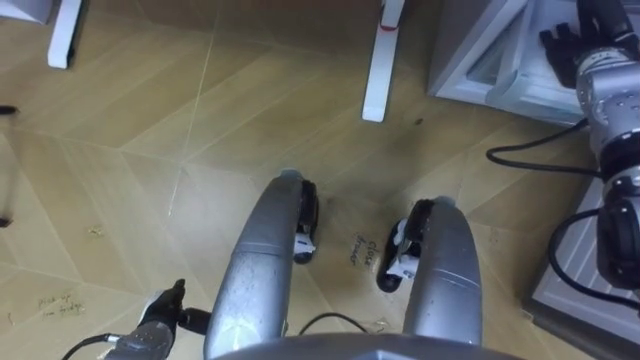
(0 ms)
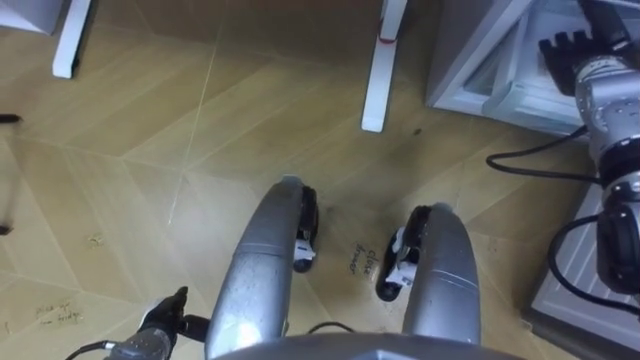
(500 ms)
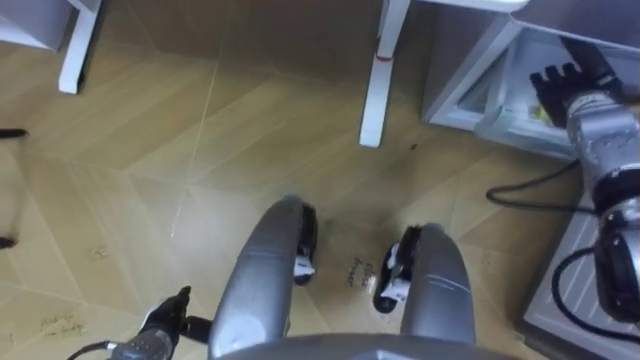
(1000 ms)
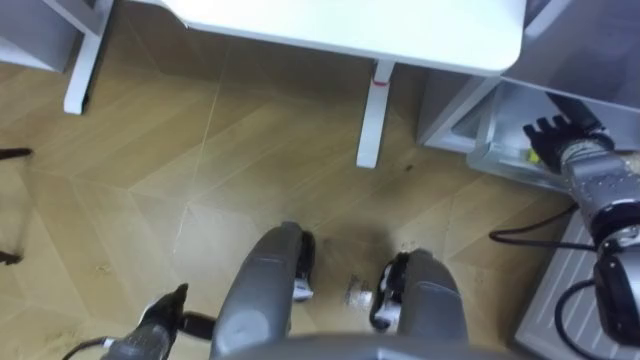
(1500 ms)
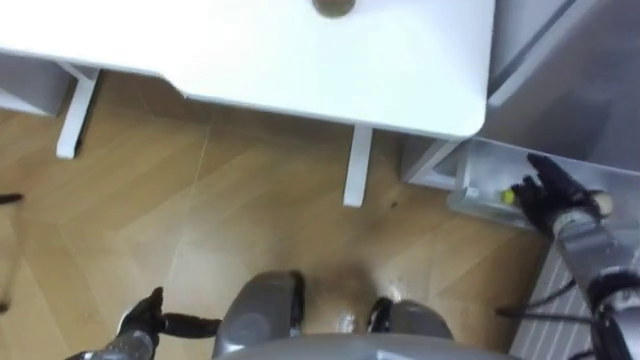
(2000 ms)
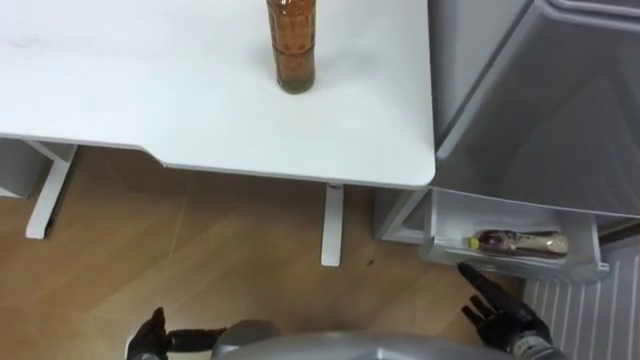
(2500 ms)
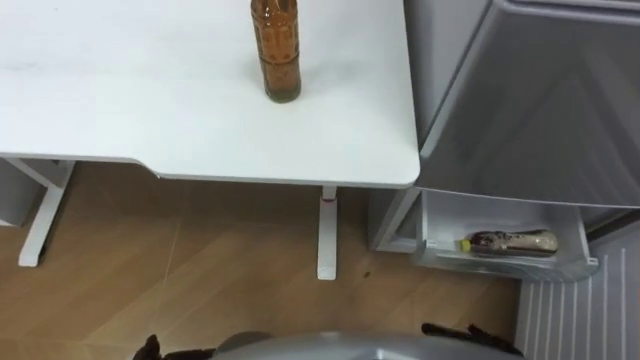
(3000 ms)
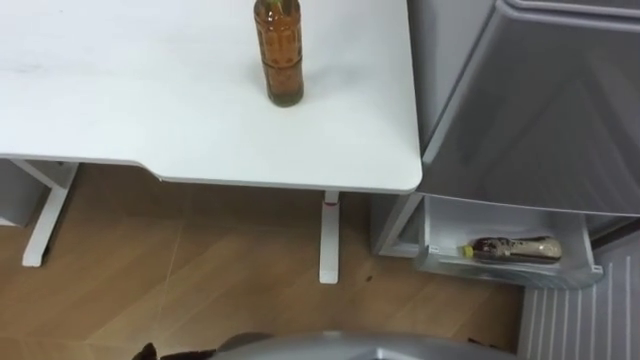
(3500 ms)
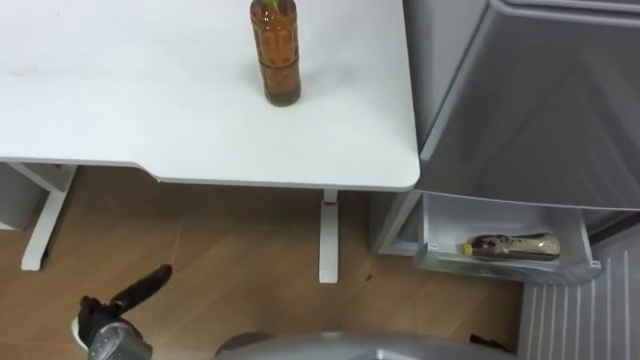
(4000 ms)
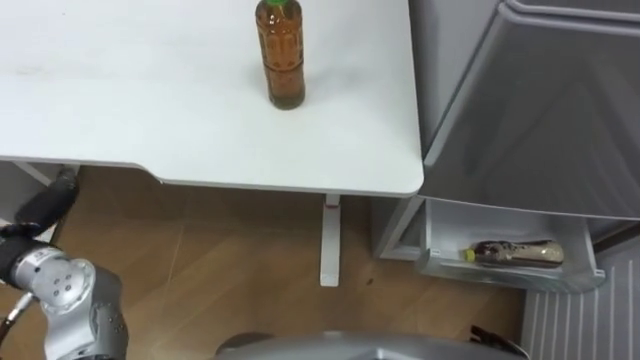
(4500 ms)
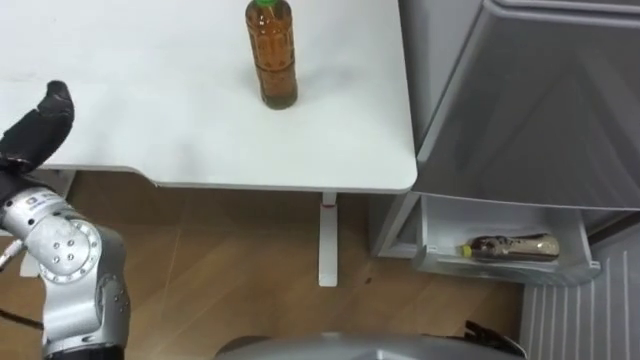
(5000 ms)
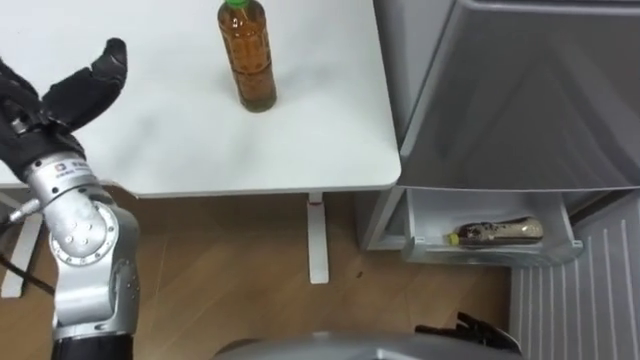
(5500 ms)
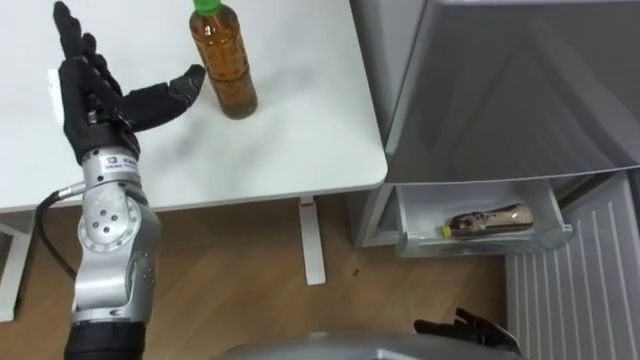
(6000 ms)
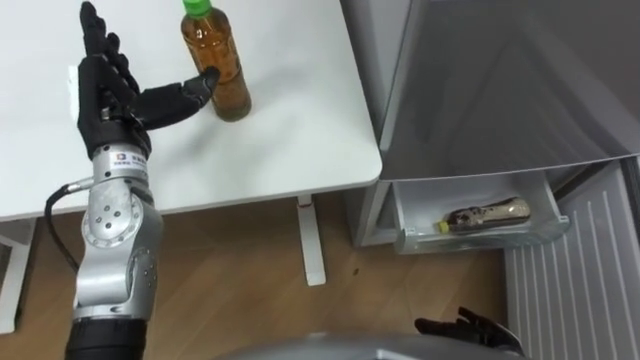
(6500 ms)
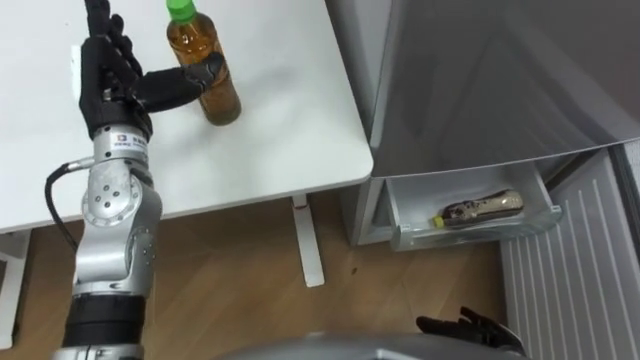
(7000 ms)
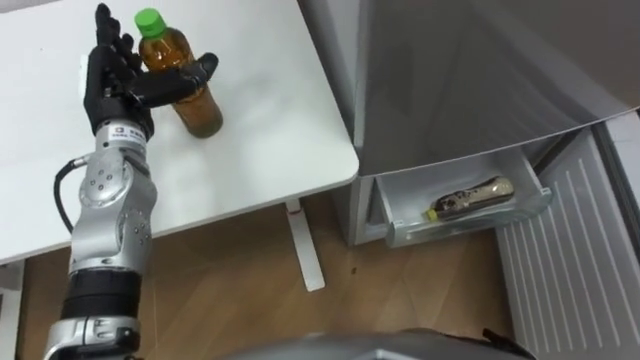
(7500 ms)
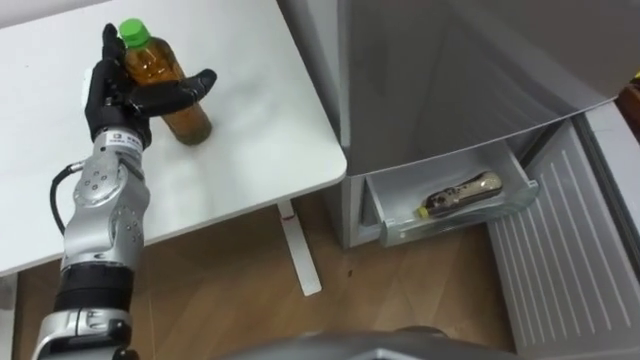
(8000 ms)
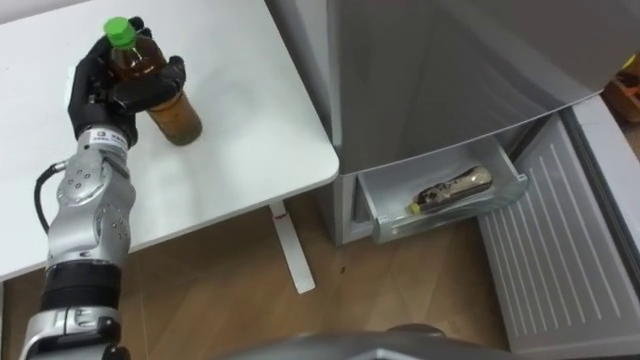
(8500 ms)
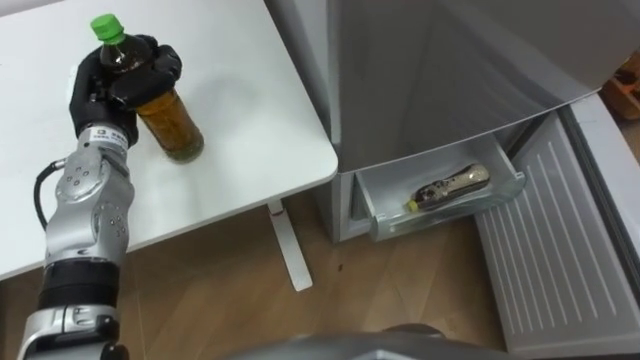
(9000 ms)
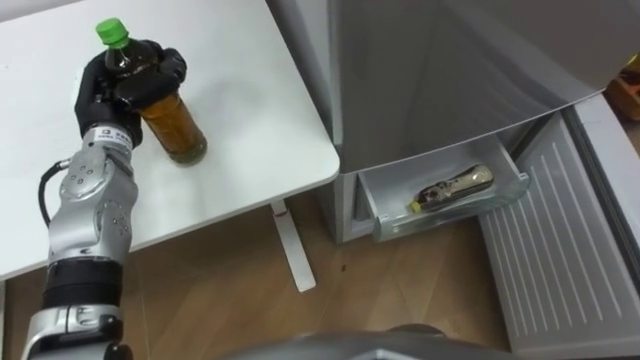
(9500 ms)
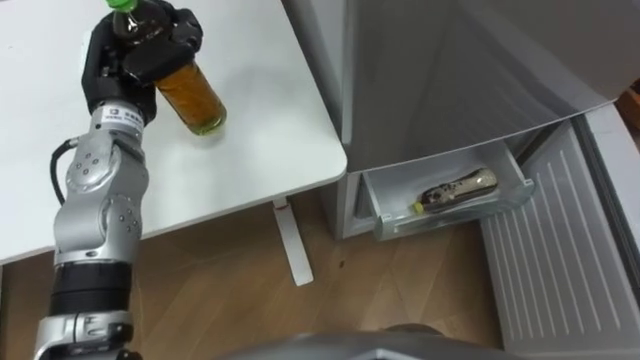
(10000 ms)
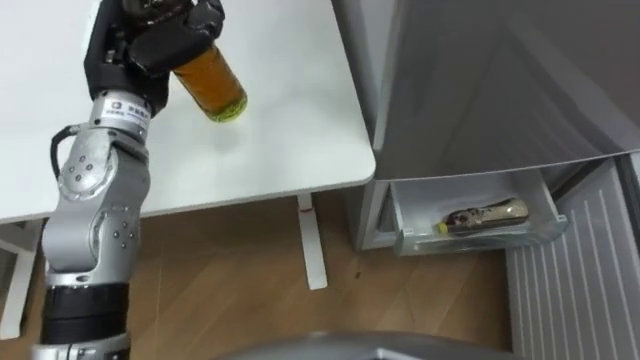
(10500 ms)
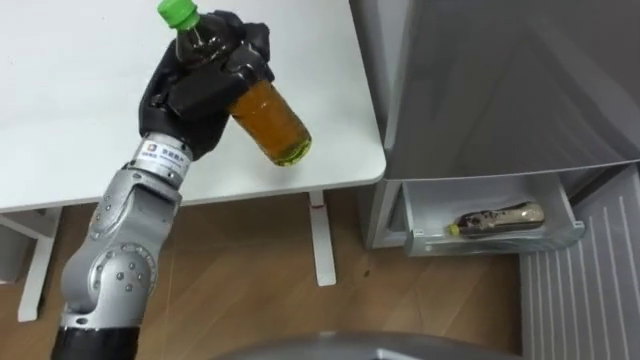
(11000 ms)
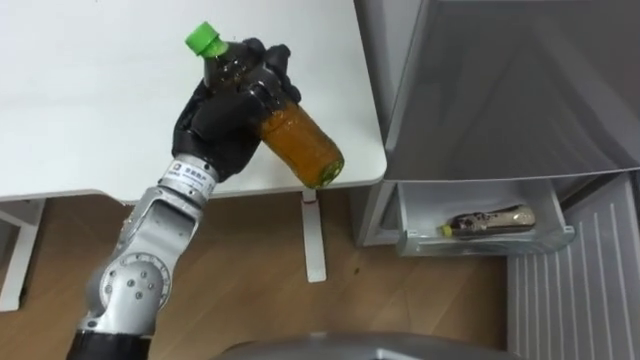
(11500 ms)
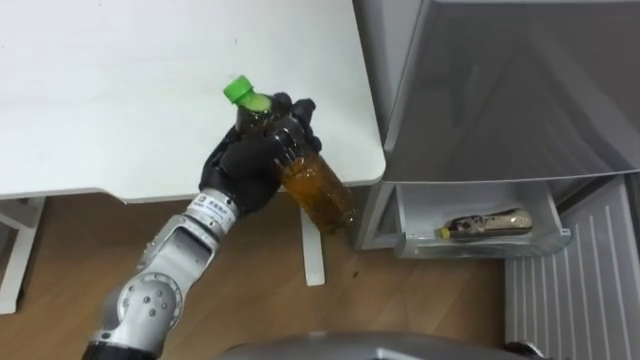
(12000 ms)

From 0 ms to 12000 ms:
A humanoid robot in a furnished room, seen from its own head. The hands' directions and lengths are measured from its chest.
Task of the whole recording: Place the drink on the table on the bottom shelf of the refrigerator, then close the drawer and the refrigerator door.
From 0 ms to 2000 ms: The right hand travels downward and backward by some 20 cm.
From 6000 ms to 8000 ms: The left hand moves about 5 cm.
From 8000 ms to 10000 ms: The left hand ends up some 5 cm from where it was, and closes up.
From 10000 ms to 12000 ms: The left hand heads to the right and backward, covering approximately 15 cm.

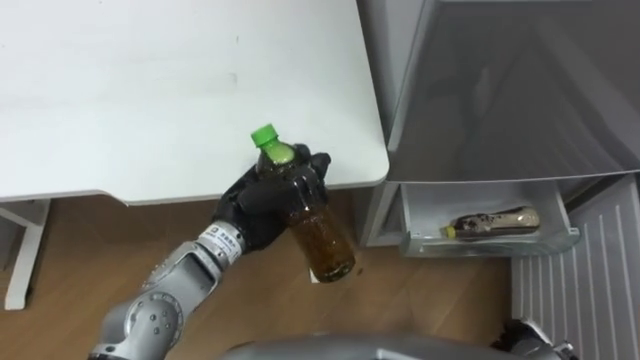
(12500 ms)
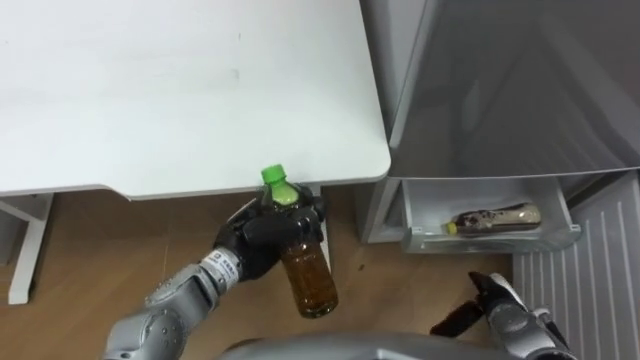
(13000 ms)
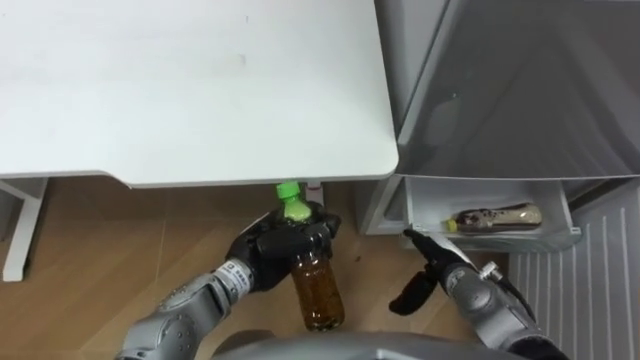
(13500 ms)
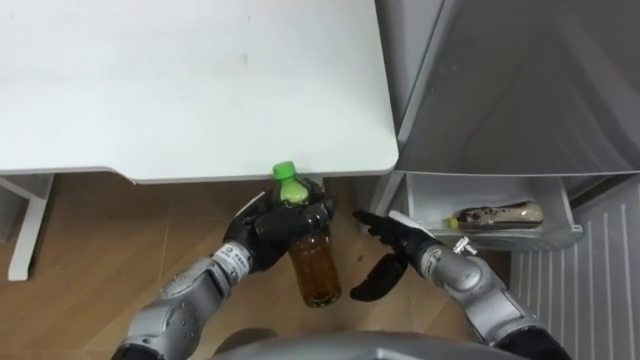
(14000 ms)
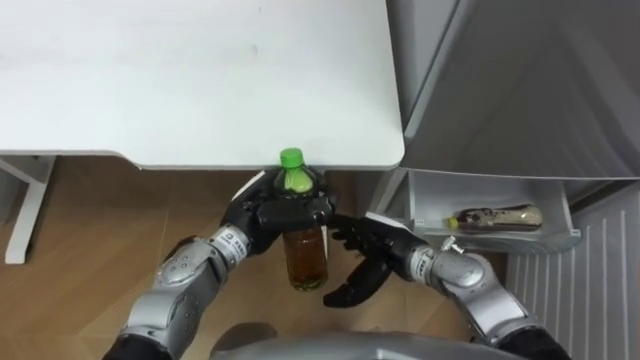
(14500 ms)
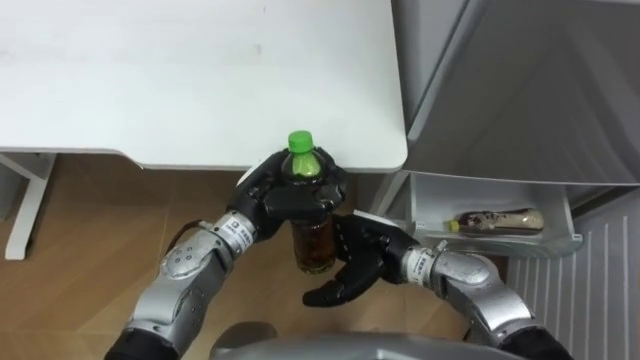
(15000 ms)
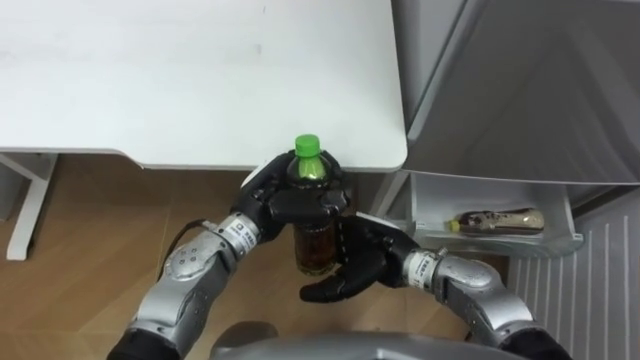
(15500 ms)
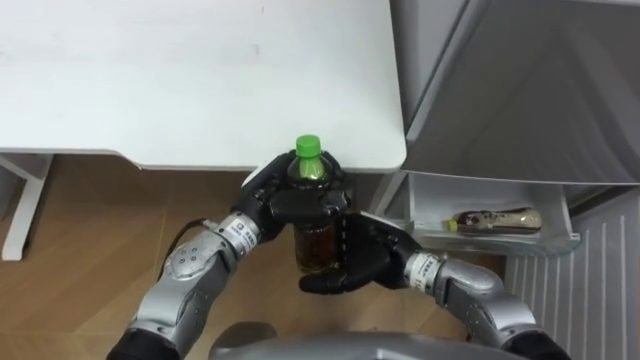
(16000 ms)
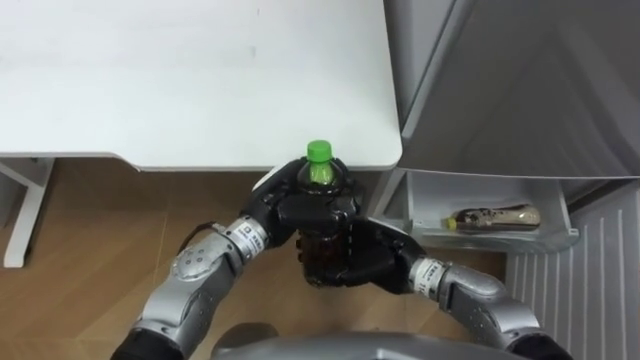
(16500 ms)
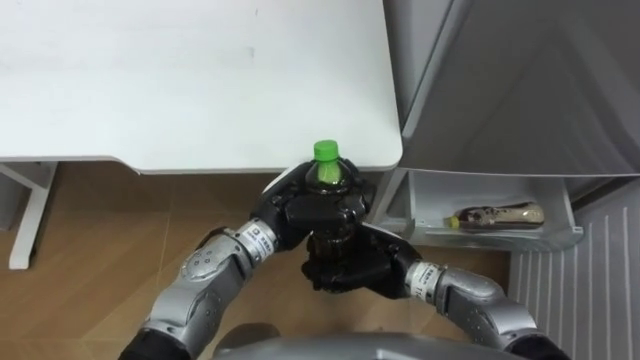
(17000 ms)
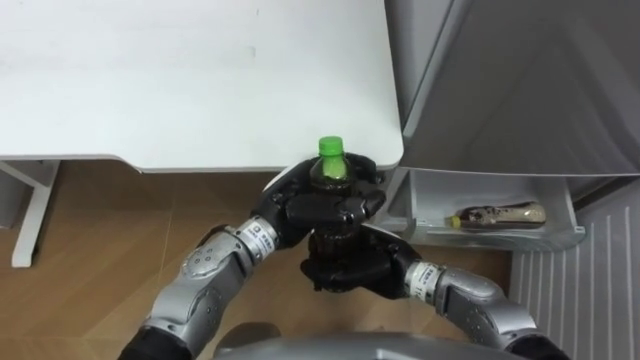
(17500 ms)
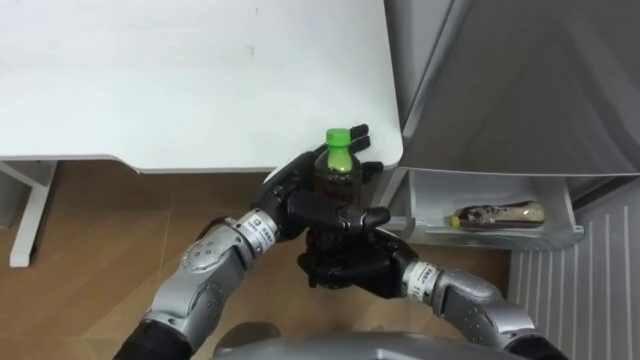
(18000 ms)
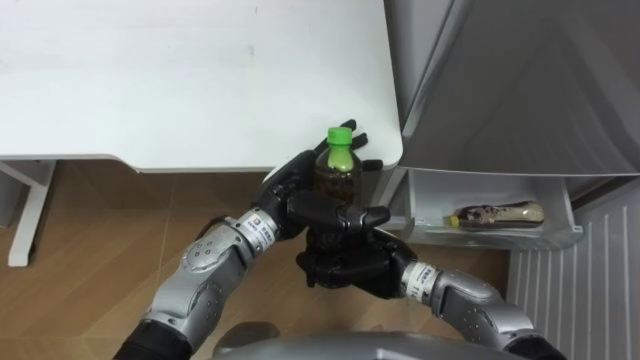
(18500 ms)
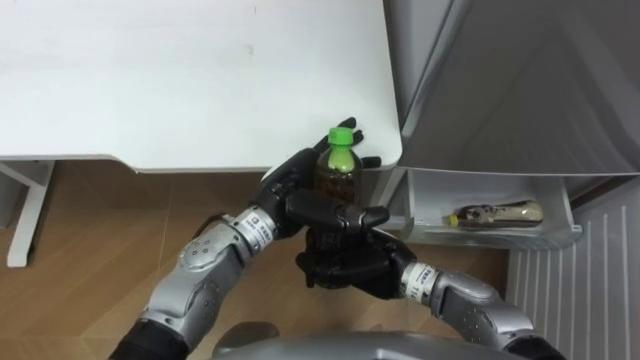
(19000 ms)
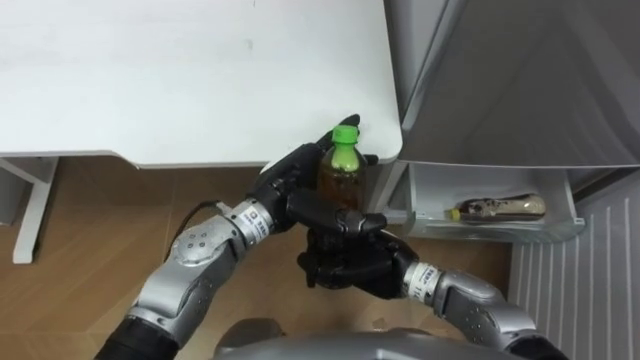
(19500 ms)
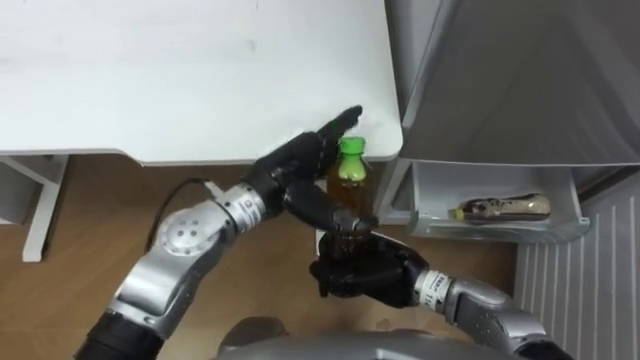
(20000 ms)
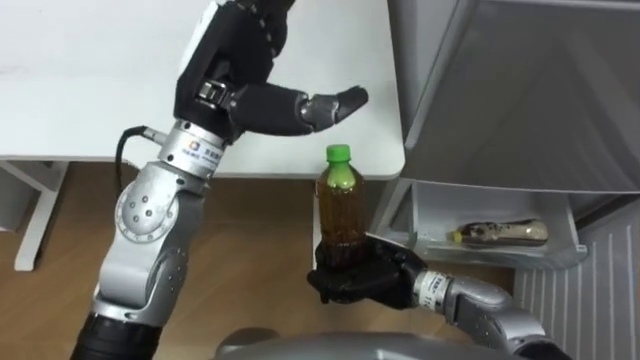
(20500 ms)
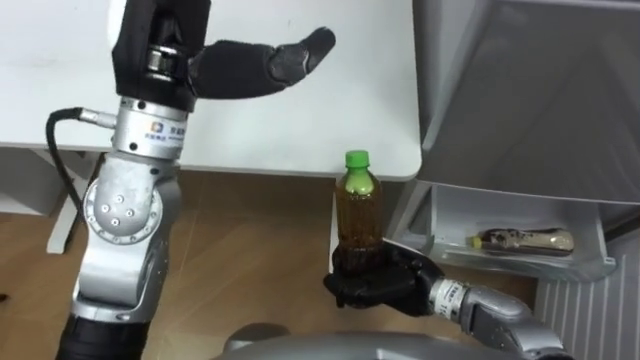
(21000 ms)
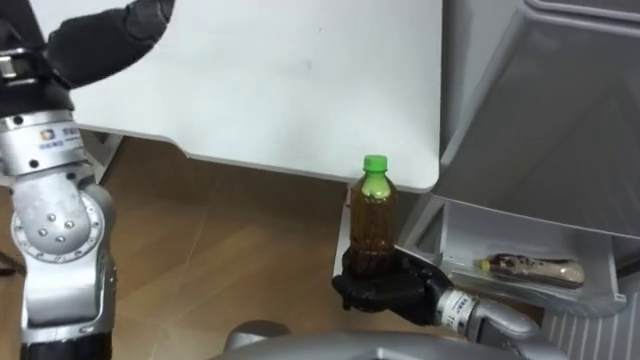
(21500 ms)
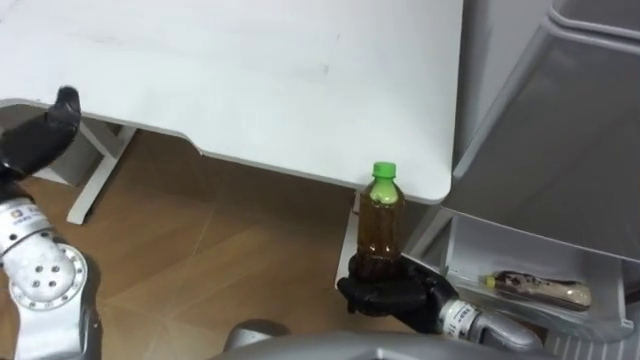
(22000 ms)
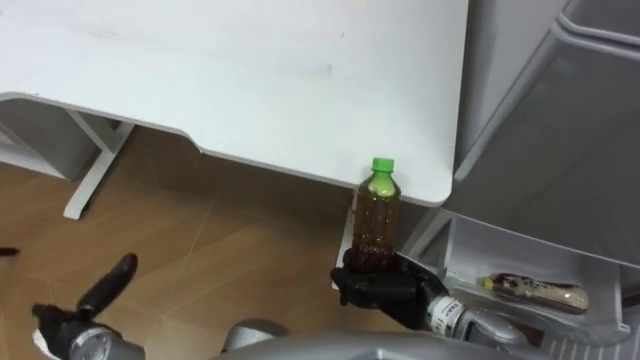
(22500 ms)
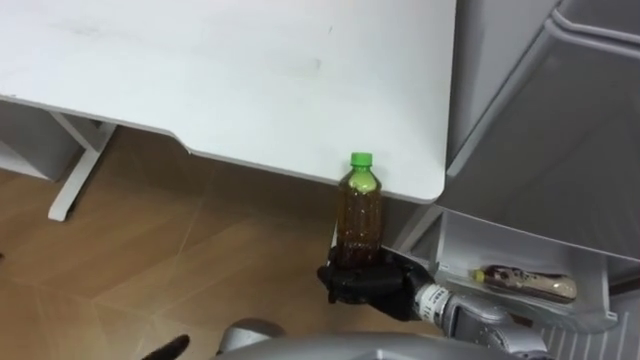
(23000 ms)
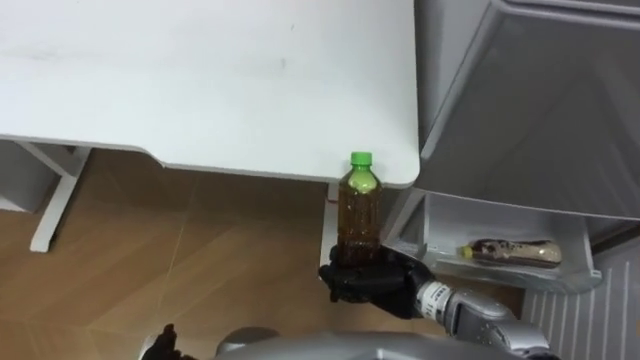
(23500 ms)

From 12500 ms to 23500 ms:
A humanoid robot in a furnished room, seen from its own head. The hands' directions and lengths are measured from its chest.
Task of the whole recording: Place the drink on the table on the bottom shelf of the refrigerator, then close the drawer and the refrigerator door.
From 12500 ms to 14500 ms: The right hand shifts some 25 cm to the left, forward and upward.
From 16000 ms to 18000 ms: The left hand opens; the right hand closes its fingers.
From 20000 ms to 21500 ms: The left hand moves upward and to the left, approximately 30 cm.
